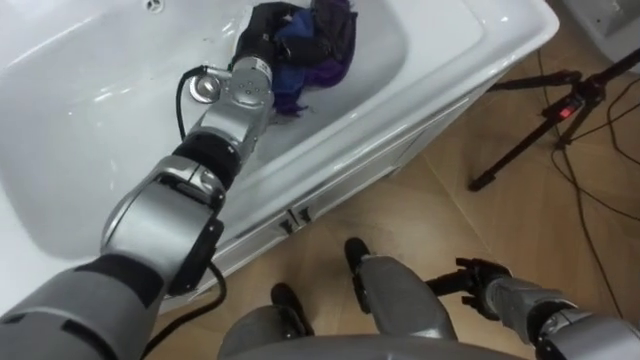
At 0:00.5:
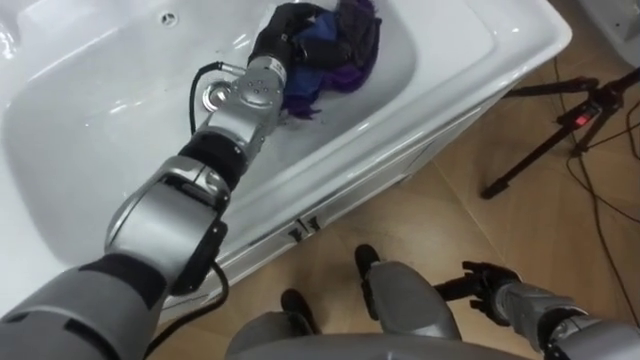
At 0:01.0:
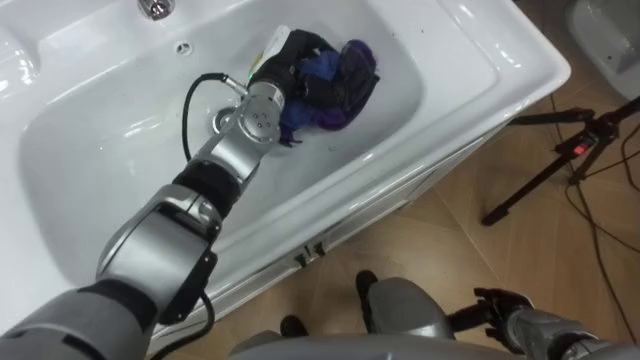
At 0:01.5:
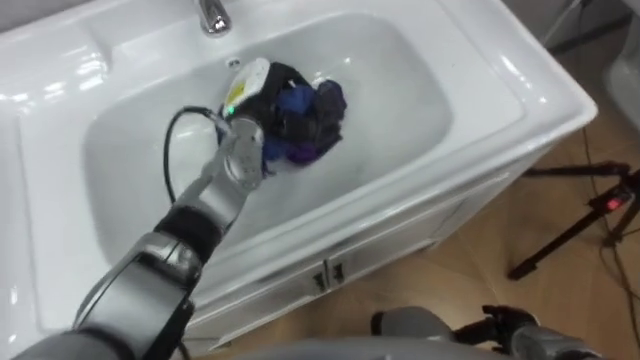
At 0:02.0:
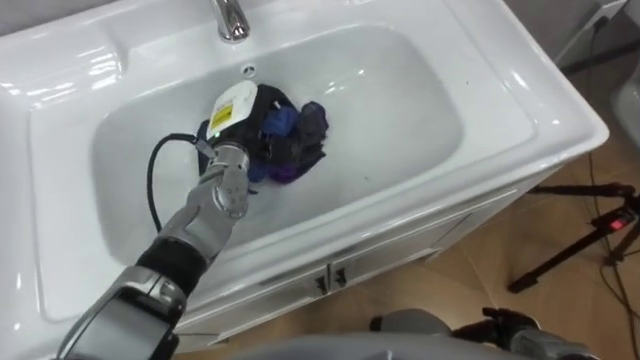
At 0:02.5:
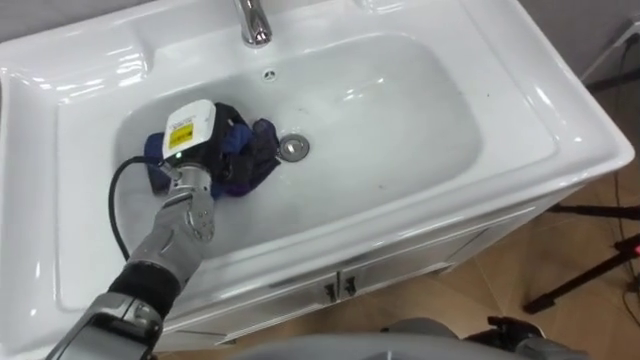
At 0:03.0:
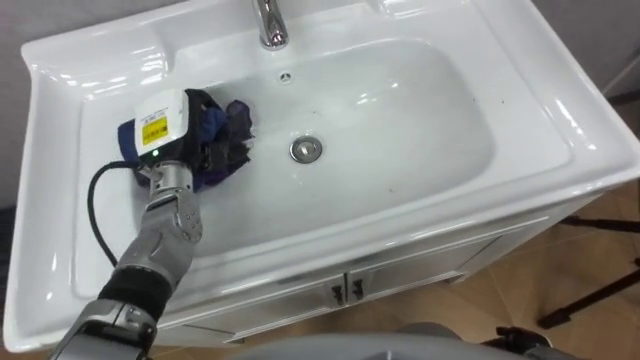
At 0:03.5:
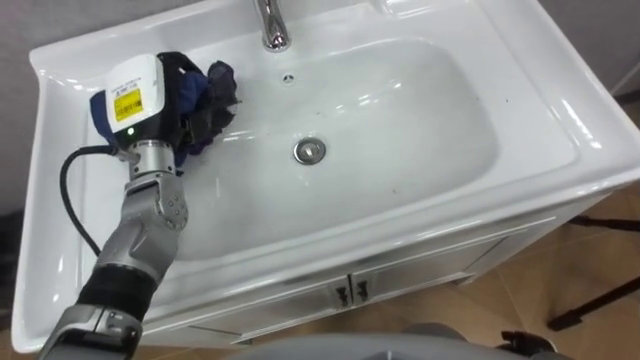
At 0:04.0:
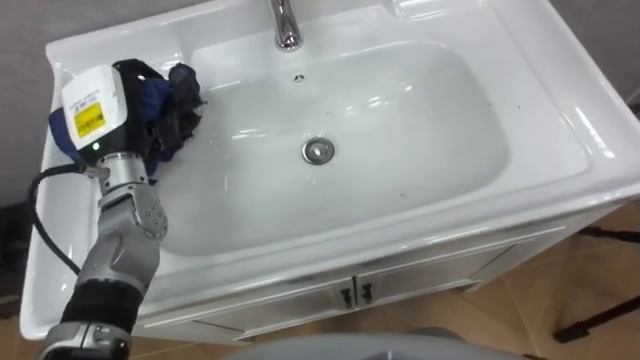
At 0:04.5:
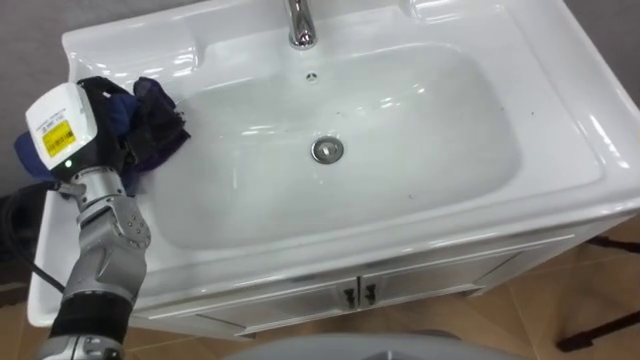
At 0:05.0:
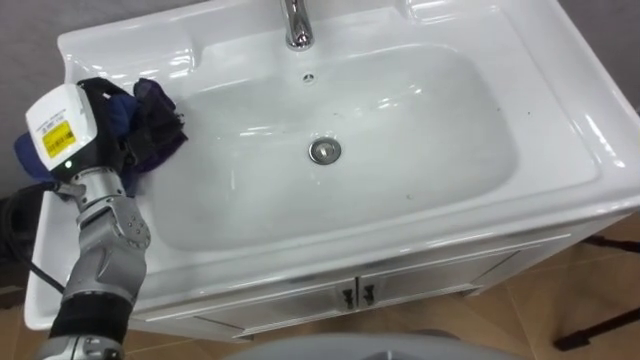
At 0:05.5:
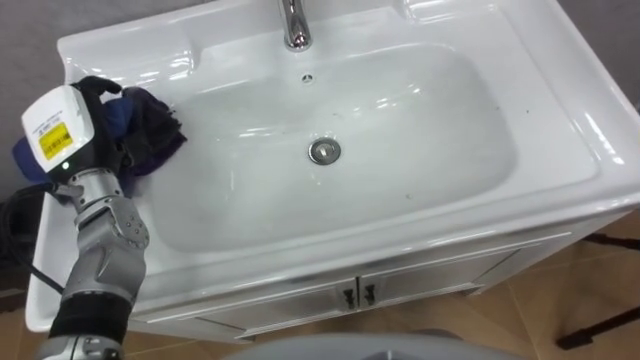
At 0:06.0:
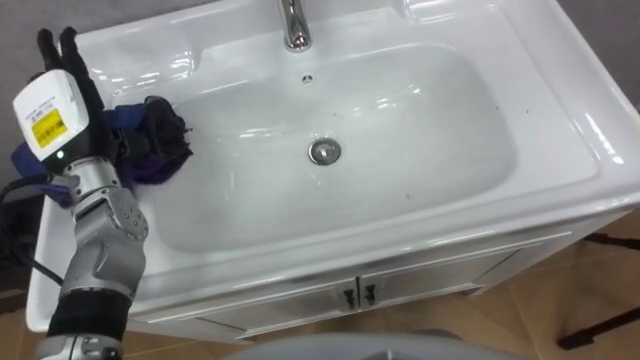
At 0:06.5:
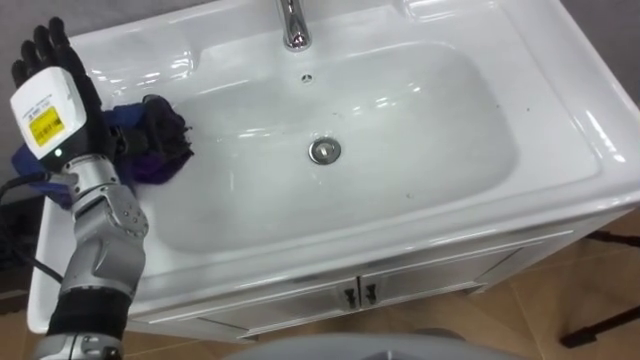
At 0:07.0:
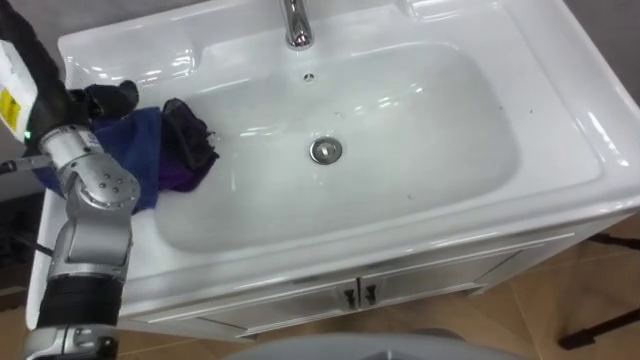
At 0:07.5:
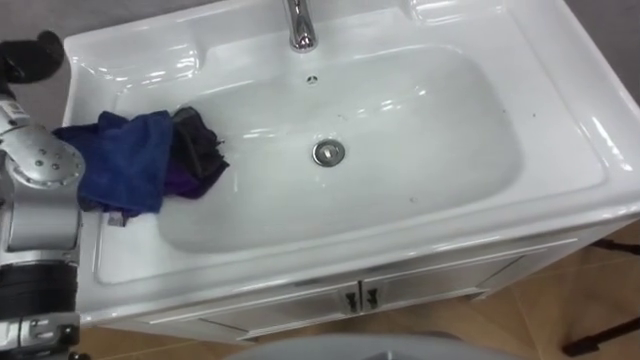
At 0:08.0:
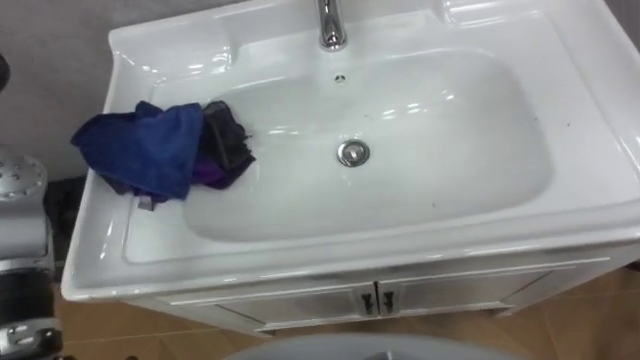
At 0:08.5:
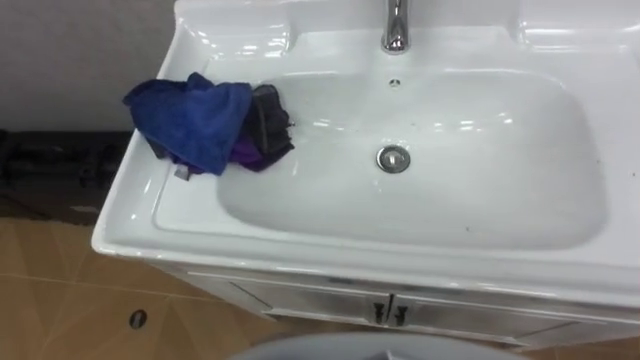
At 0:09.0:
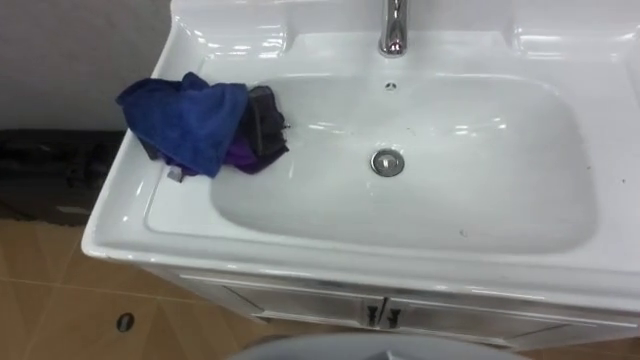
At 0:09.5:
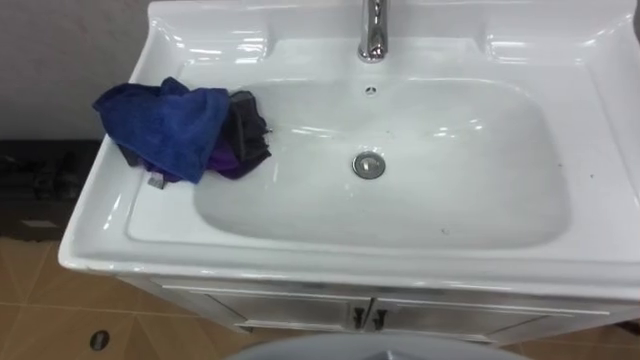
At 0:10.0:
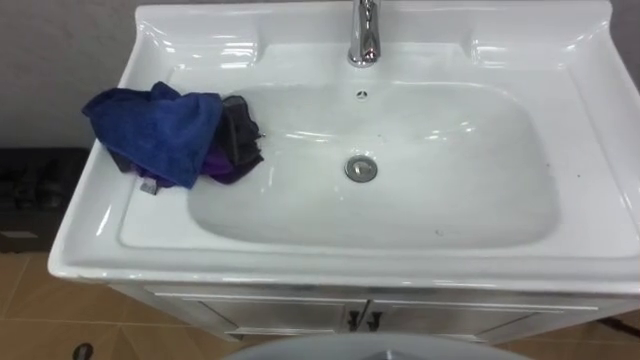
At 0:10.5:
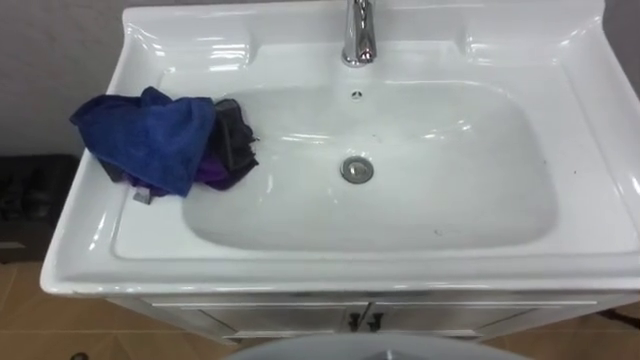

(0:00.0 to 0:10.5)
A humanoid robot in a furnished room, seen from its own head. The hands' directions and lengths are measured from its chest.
Task of the whole recording: Use the cloth on the right to wipe away the black stain in the sink.
0:00.0 - 0:02.0: The right hand travels backward by some 5 cm, while the left hand travels backward and downward by approximately 10 cm.
0:02.0 - 0:04.0: The left hand is displaced to the left by about 15 cm.
0:04.0 - 0:06.5: The left hand opens its fingers.

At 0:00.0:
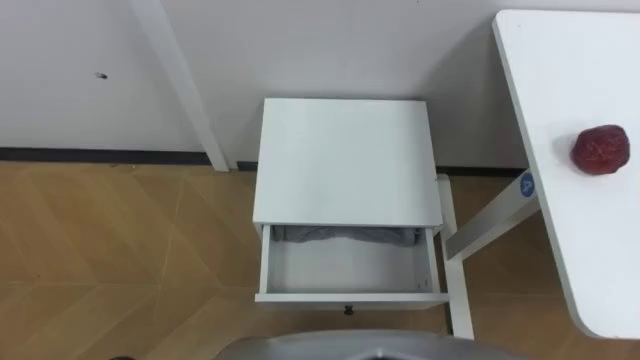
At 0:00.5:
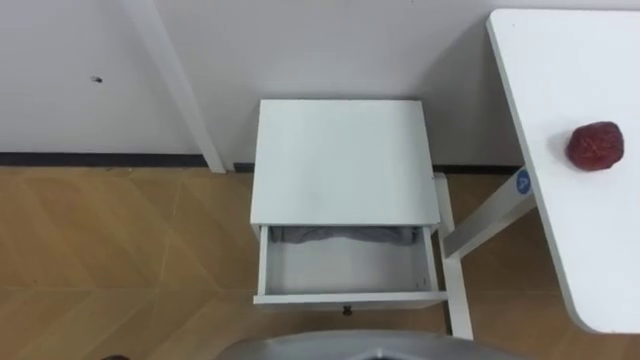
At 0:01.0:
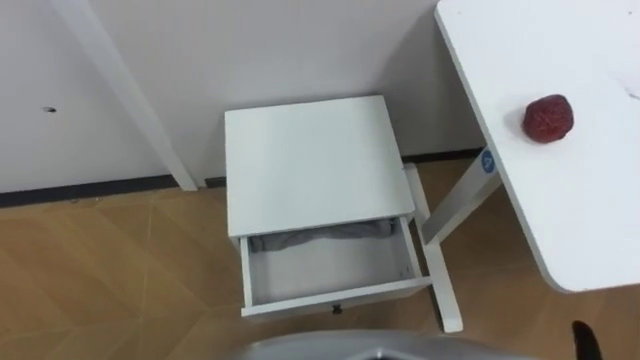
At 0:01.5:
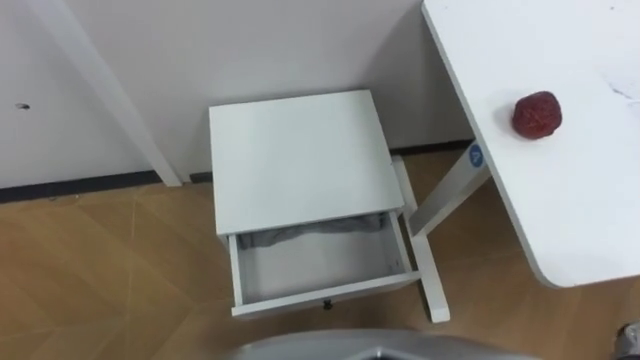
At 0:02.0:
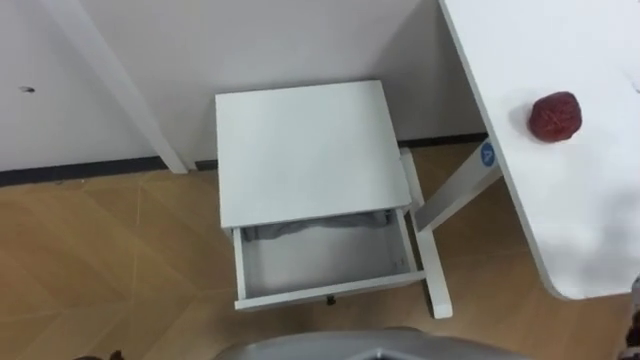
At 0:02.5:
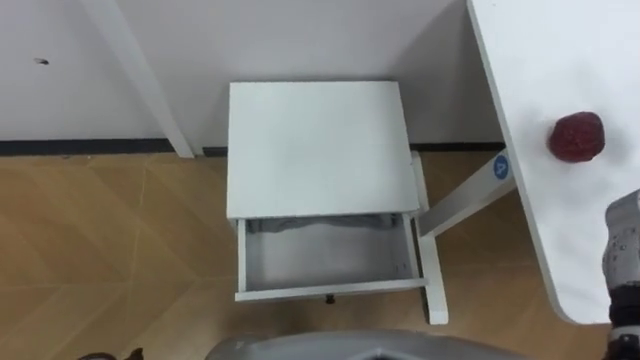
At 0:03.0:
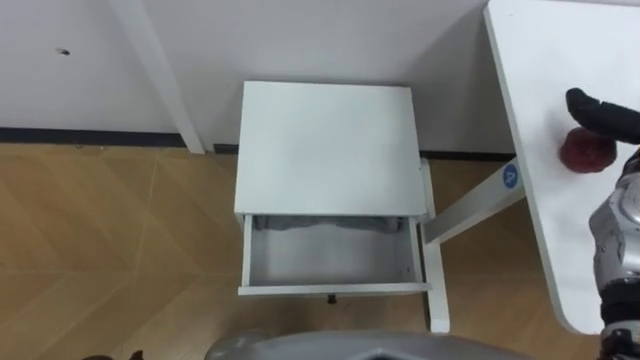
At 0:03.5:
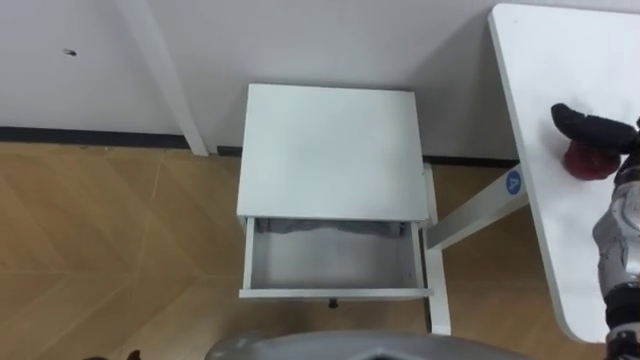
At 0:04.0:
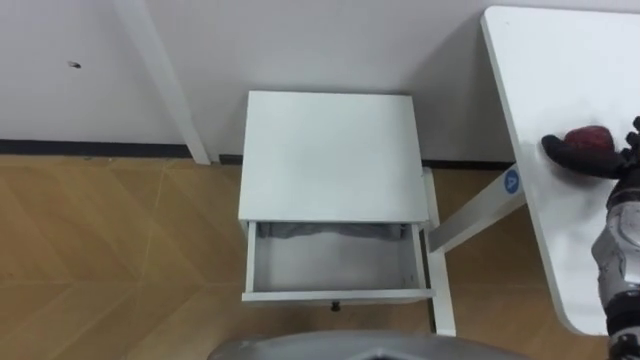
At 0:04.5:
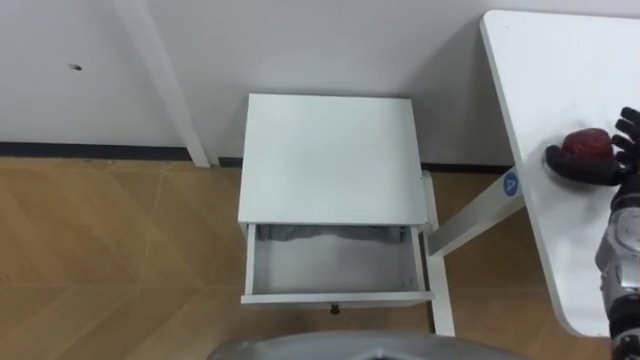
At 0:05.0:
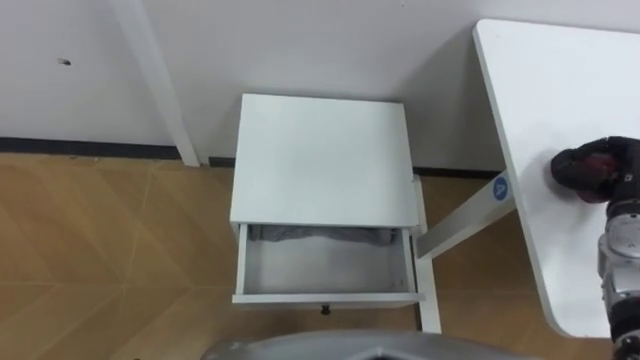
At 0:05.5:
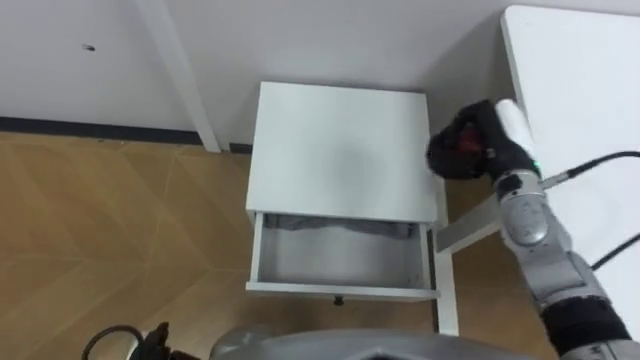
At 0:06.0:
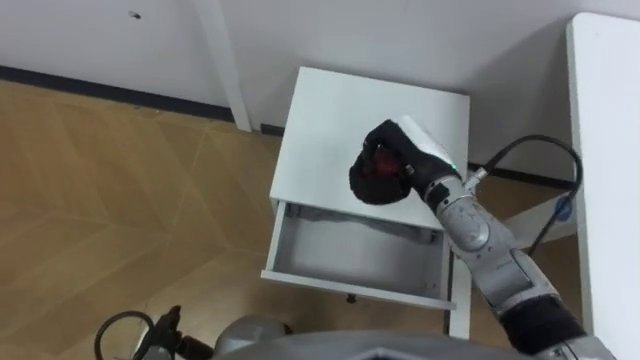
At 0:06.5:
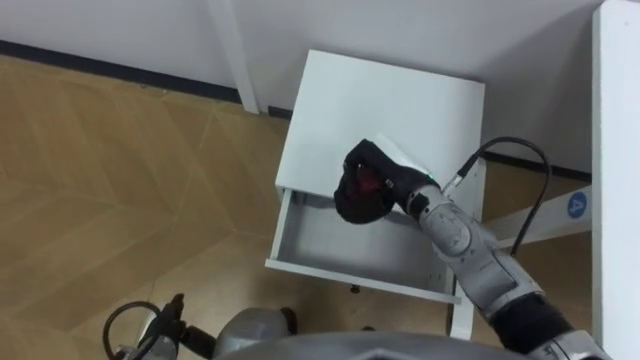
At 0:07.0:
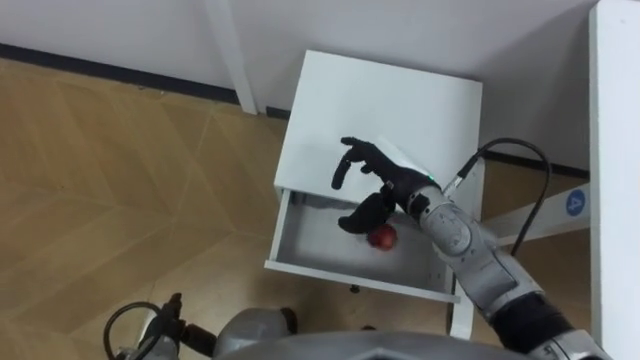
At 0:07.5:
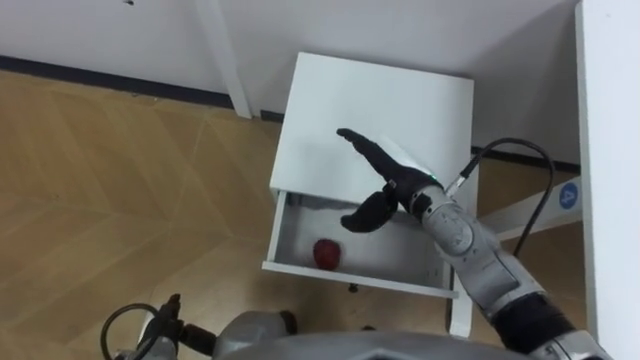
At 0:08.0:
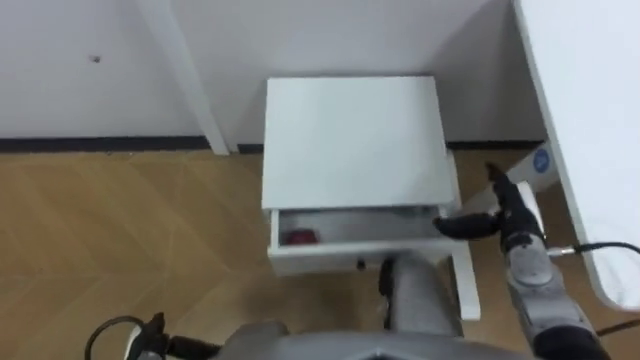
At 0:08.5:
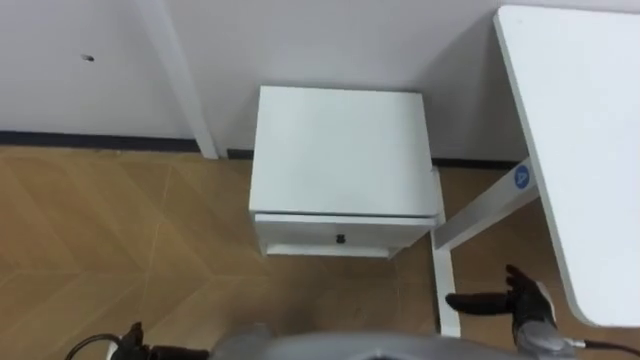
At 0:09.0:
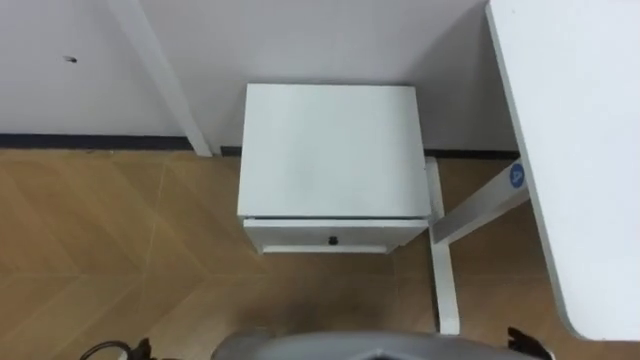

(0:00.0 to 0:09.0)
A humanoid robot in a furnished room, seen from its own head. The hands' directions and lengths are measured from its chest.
Task of the whole recording: Pick up the apple from the table, put it in the drawer, and close the drawer with leg.
0:04.5 - 0:07.0: The right hand moves to the left, some 30 cm, and closes and opens again.
0:07.0 - 0:09.0: The right hand moves backward, to the right and downward, some 35 cm.
